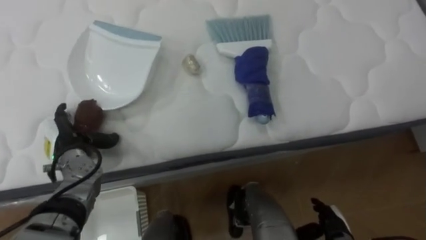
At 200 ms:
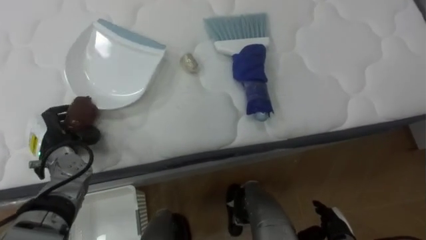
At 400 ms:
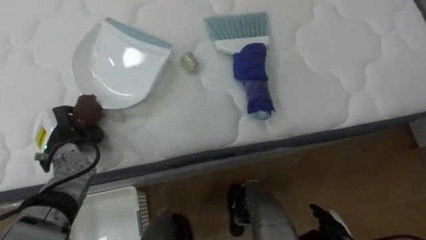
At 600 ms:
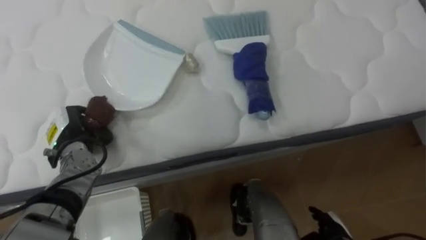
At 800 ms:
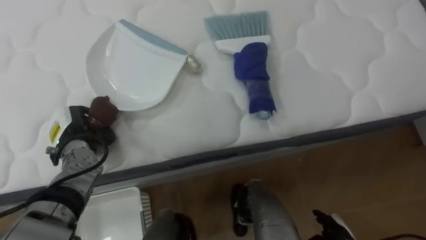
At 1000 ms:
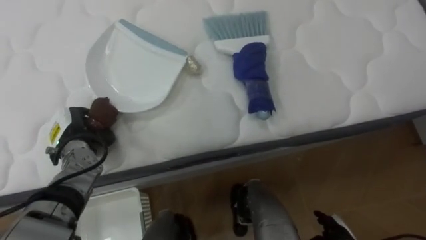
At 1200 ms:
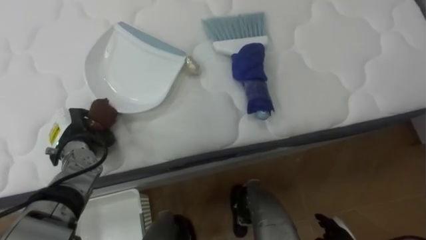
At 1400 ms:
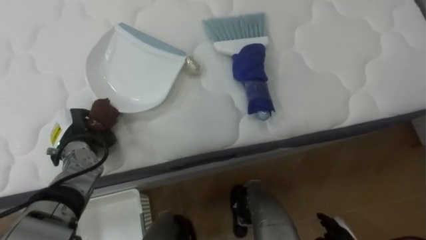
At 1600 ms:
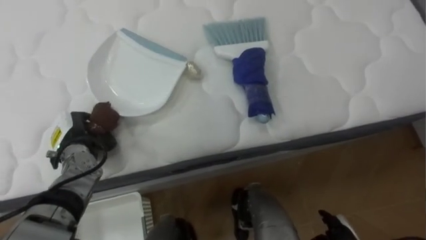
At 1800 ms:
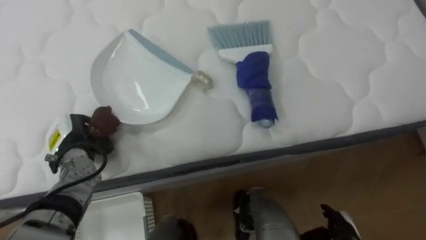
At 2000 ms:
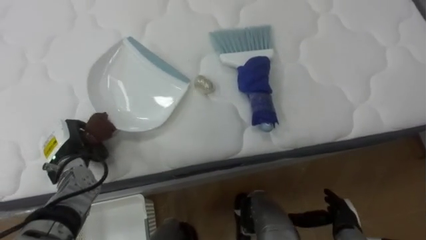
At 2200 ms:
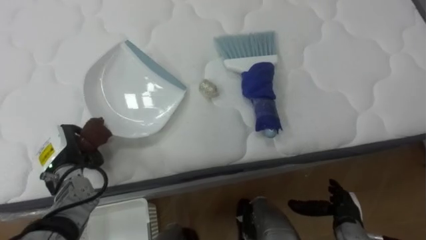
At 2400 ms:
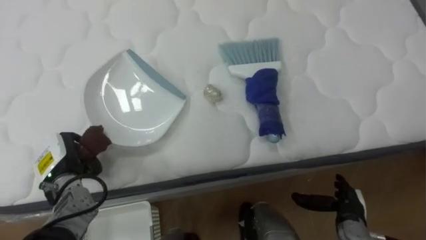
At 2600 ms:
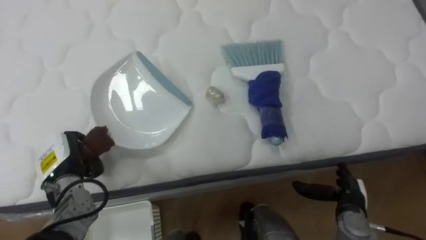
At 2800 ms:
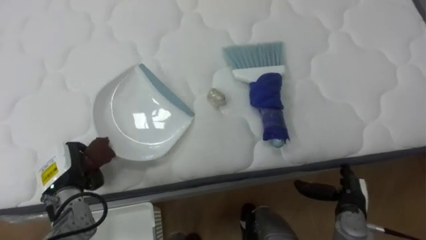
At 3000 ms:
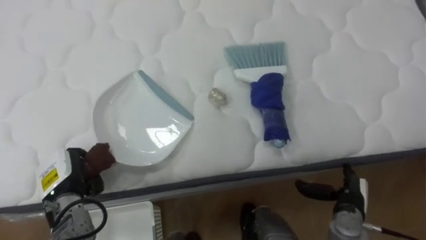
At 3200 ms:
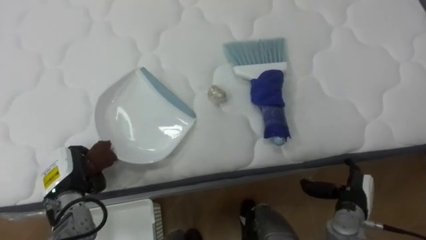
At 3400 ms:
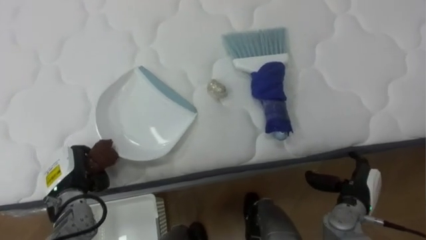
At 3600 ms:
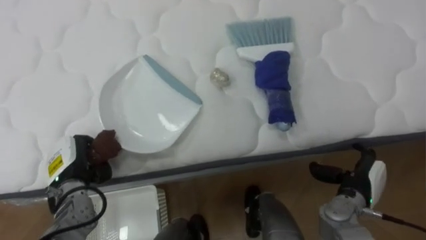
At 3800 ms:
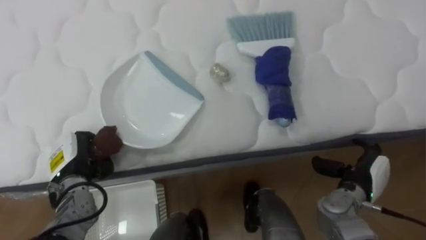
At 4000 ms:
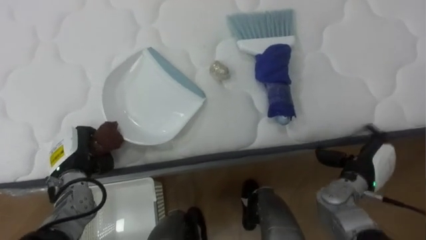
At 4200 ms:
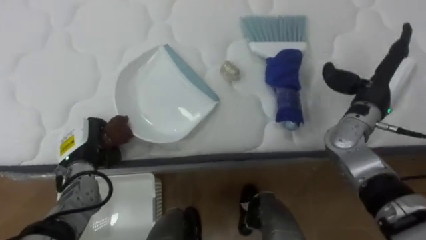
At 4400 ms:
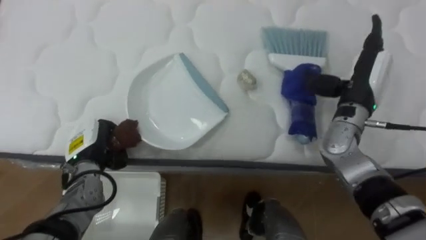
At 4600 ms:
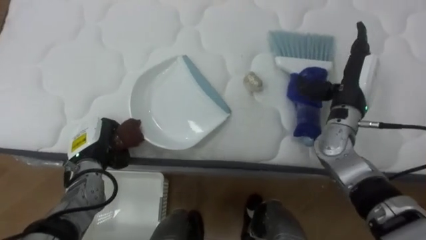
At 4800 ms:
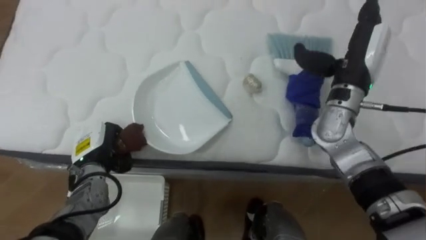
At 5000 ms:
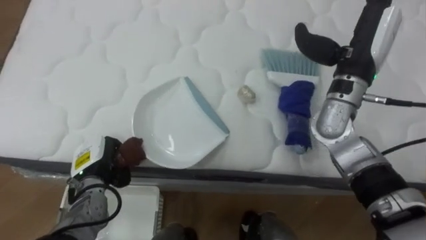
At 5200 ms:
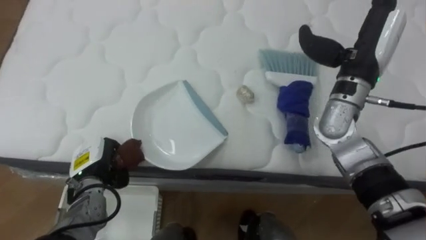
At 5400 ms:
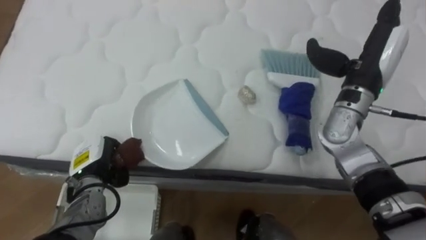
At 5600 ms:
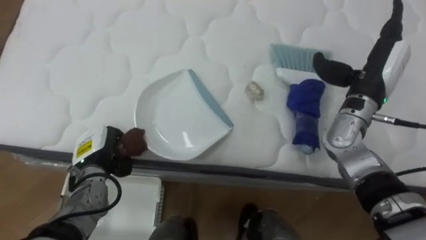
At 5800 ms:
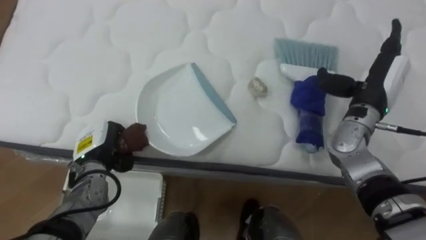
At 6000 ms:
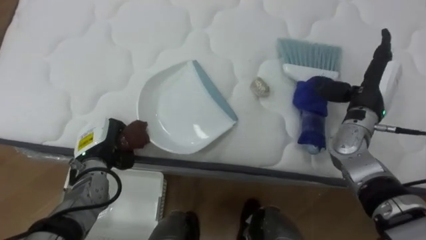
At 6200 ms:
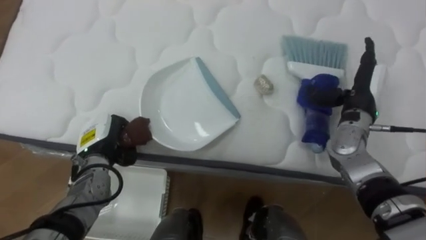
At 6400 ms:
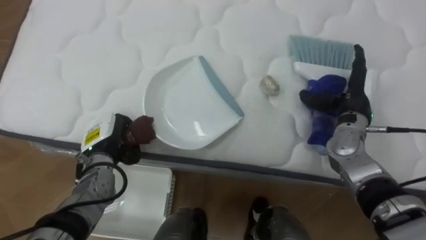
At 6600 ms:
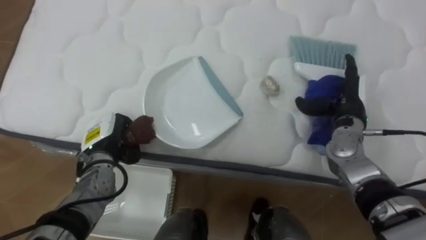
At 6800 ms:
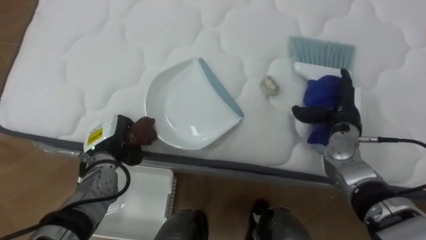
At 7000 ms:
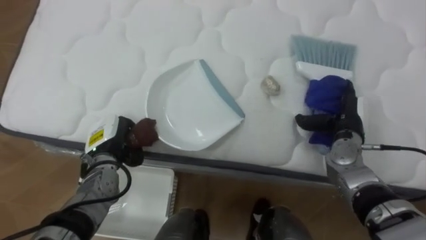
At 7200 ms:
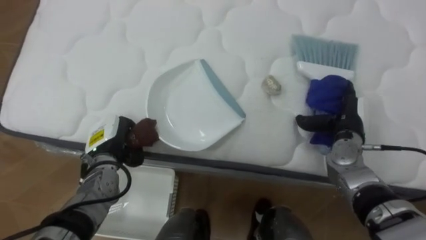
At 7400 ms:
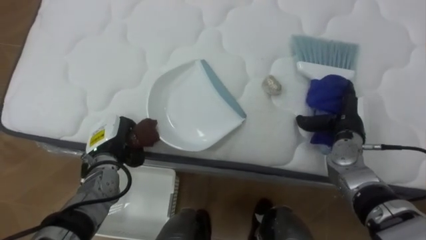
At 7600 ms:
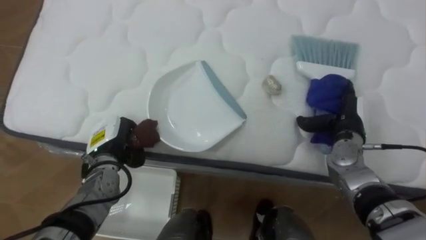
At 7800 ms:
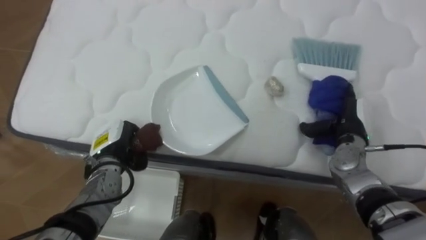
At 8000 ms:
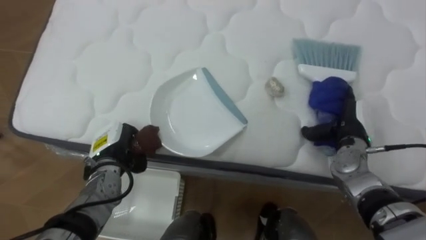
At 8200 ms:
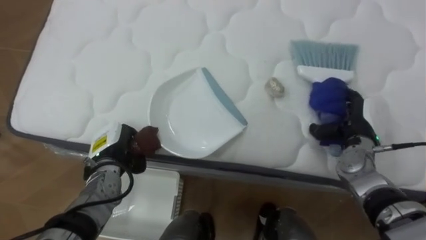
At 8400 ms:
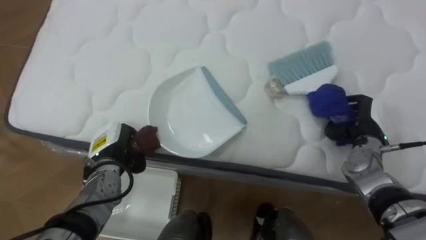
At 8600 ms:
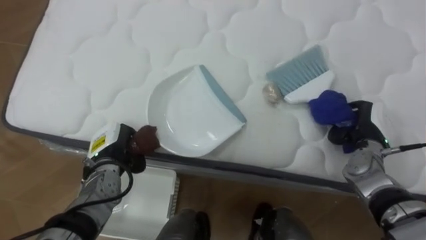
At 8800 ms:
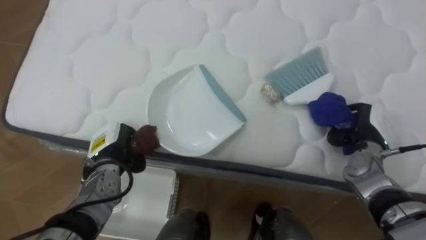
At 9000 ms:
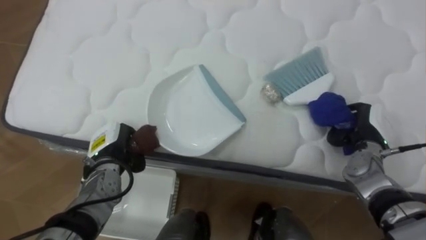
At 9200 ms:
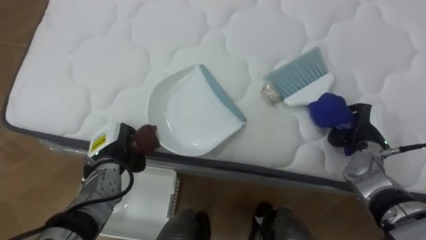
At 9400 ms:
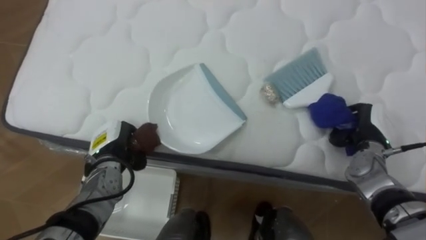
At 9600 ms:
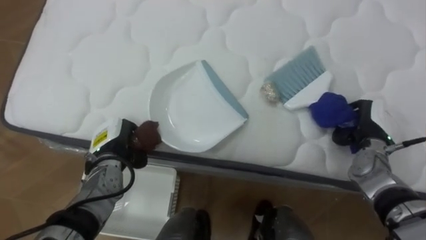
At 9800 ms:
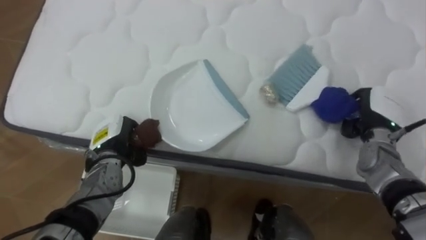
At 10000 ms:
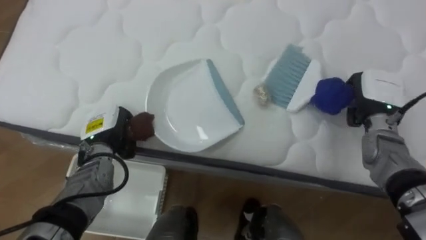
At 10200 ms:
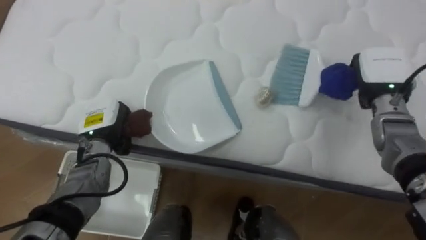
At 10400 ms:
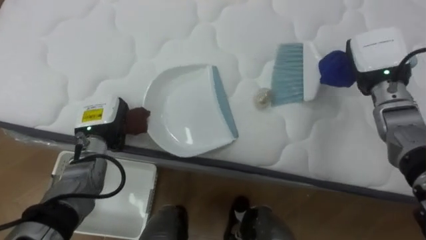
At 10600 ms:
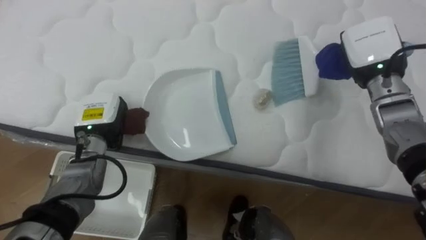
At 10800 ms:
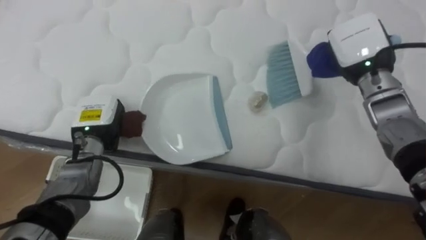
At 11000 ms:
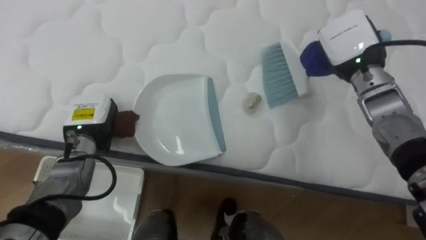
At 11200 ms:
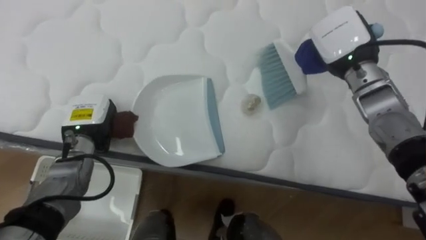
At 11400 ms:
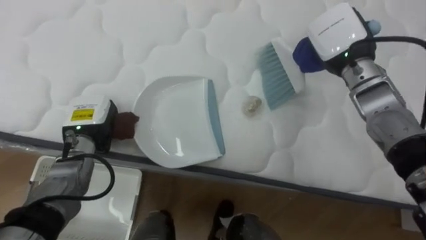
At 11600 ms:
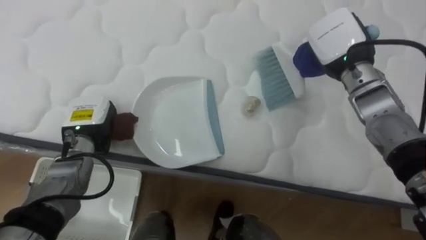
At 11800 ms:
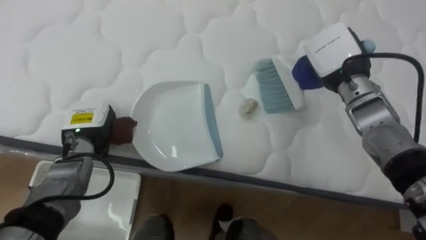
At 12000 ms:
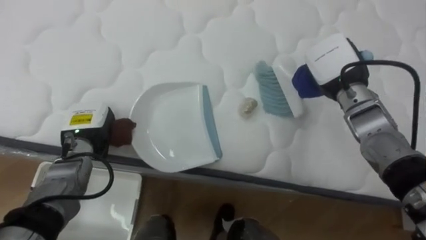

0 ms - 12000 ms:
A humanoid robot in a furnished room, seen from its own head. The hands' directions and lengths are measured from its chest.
Task of the whole recording: Pick up the brush on your right and the dustpan on your left. Use the brush to sweep the crumpled paper on the bed into the dustpan, then turn left and empty it into the basket.
0 ms - 1600 ms: The left hand closes its fingers.
1600 ms - 3000 ms: The left hand shifts roughly 10 cm backward.
3000 ms - 4400 ms: The right hand goes roughly 25 cm upward and forward. Meanwhile the left hand shifts approximately 5 cm forward.
4400 ms - 6000 ms: The right hand goes upward and returns, about 10 cm each way.
6000 ms - 7600 ms: The right hand is displaced downward by some 10 cm.
7600 ms - 9000 ms: The right hand closes up.
9000 ms - 10400 ms: The right hand heads upward and forward, covering approximately 15 cm; the left hand shifts some 5 cm upward.
10400 ms - 12000 ms: The right hand moves to the left, about 5 cm.

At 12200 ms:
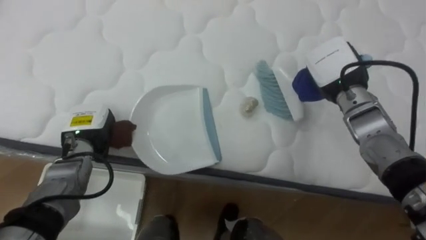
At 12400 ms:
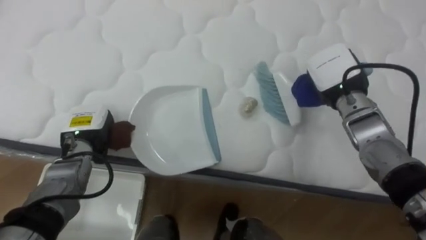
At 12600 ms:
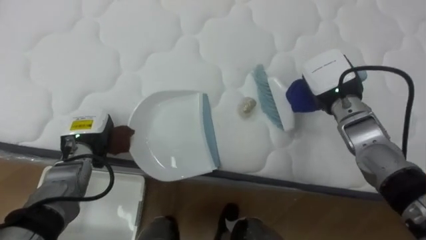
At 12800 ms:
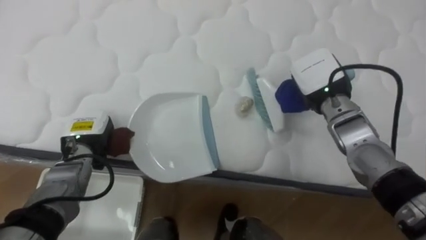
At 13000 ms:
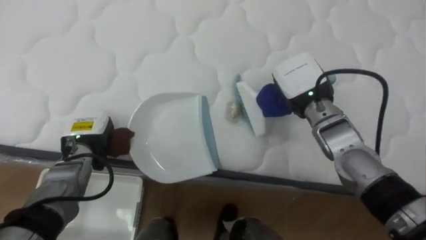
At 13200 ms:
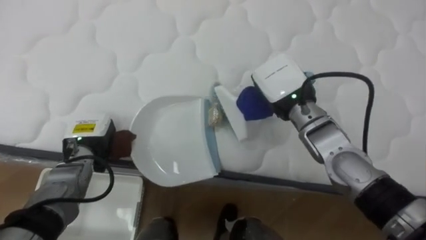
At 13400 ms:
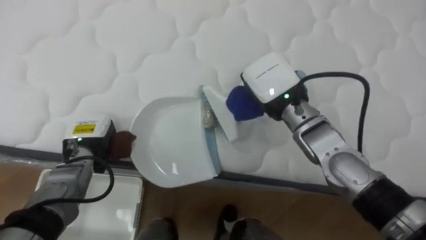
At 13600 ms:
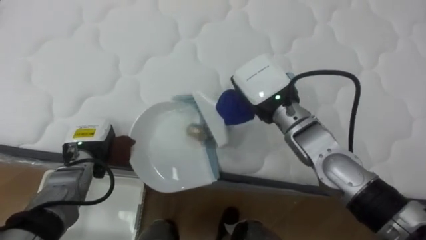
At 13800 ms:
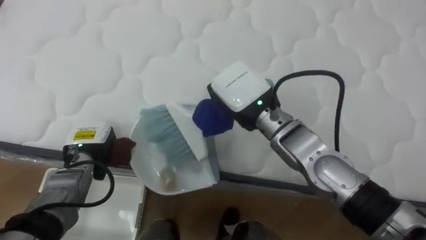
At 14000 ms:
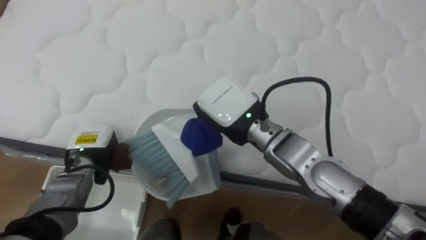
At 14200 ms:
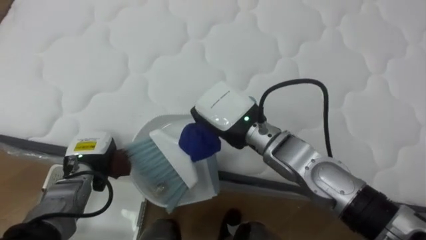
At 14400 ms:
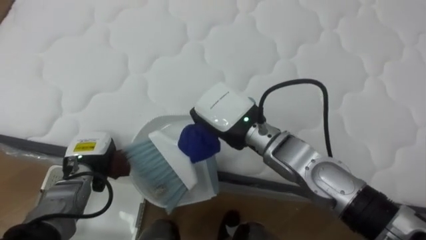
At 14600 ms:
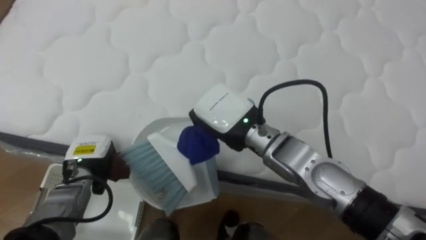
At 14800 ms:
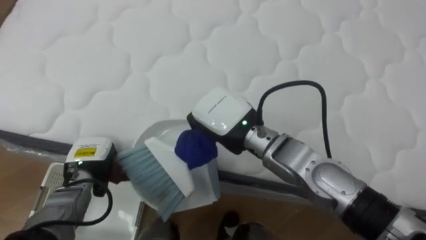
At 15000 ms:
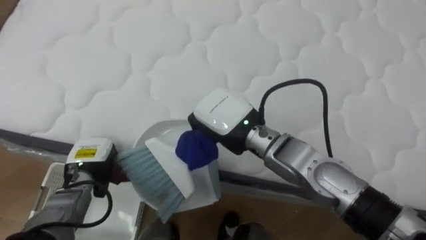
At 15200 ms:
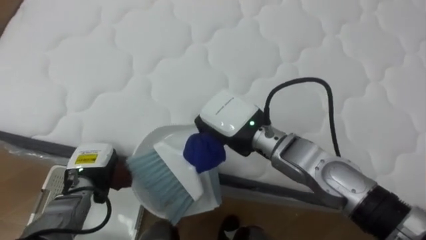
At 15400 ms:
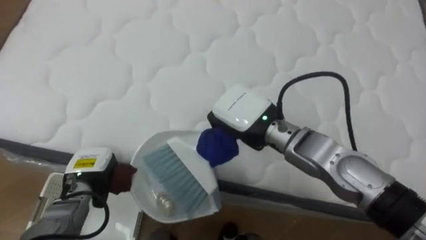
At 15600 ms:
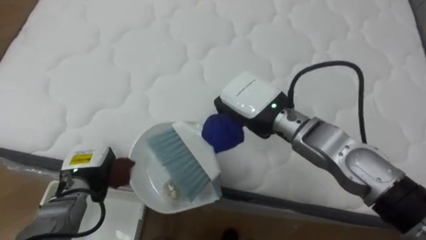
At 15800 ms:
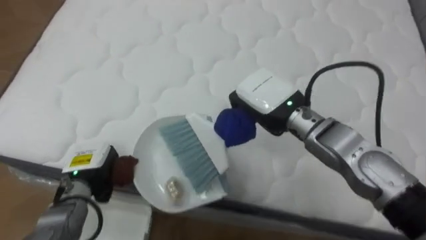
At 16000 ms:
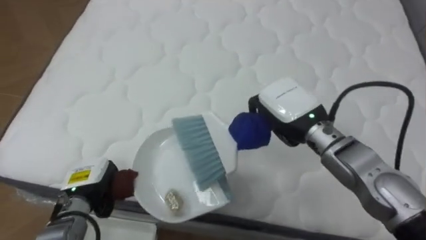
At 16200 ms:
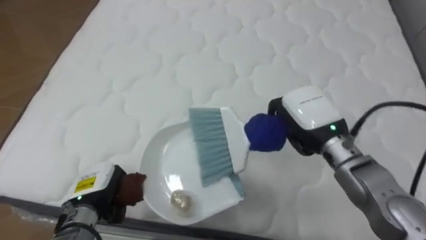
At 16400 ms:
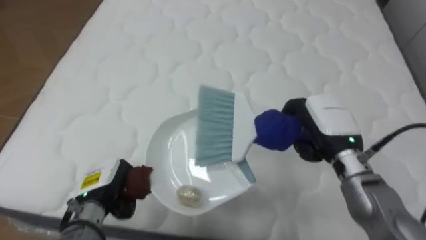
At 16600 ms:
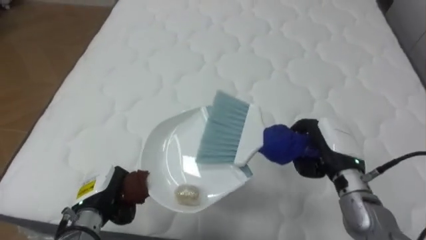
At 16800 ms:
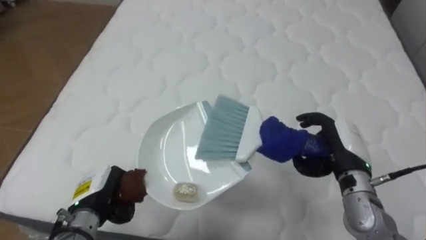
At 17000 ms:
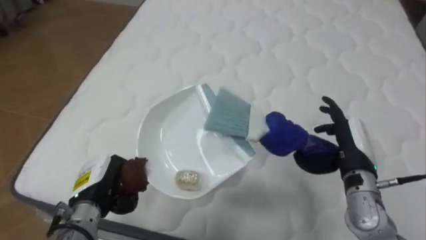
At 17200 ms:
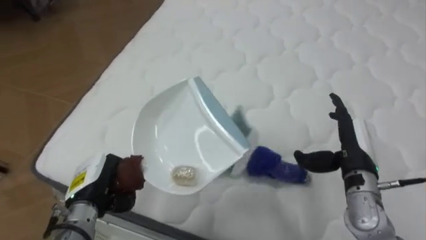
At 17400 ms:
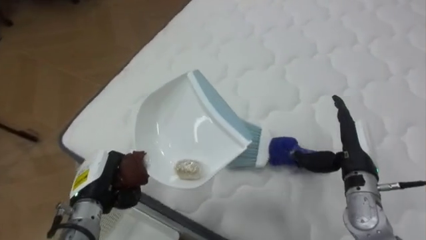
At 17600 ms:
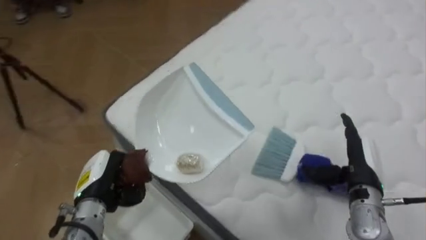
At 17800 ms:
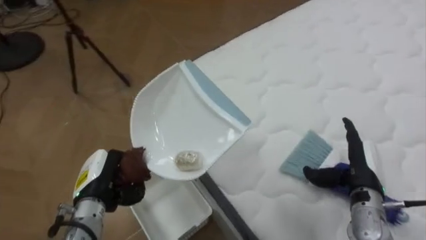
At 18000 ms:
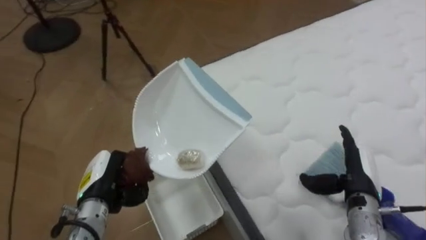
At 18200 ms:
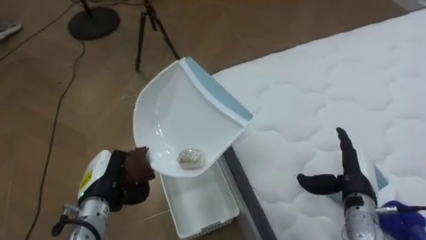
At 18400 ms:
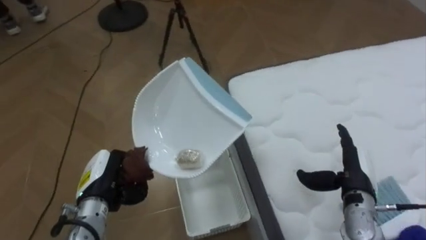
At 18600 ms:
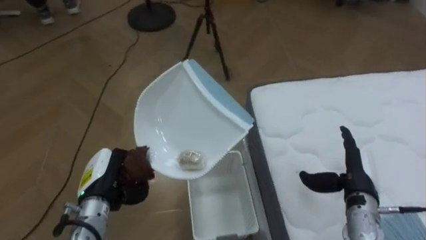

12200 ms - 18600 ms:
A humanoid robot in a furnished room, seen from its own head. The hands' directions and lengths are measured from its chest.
Task of the whole recording: Pick up the brush on your right and the dustpan on your left. Use the brush to sweep the crumpled paper on the bed into the dustpan, then turn left and empty it into the basket.
12200 ms - 13800 ms: The right hand shifts roughly 15 cm to the left.
13800 ms - 15400 ms: The left hand moves approximately 5 cm.
15400 ms - 17000 ms: The right hand is displaced to the right by approximately 20 cm, and opens. The left hand shifts by some 5 cm.
17000 ms - 18600 ms: The robot's body swings approximately 65 degrees to its left. The right hand shifts by about 5 cm.
